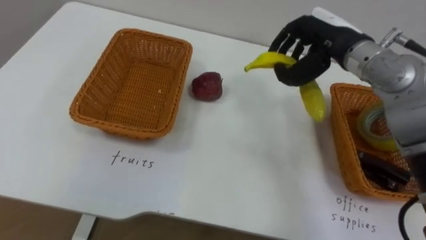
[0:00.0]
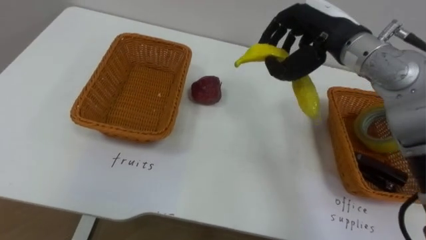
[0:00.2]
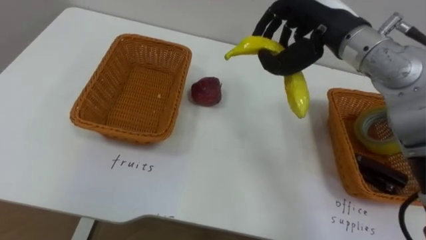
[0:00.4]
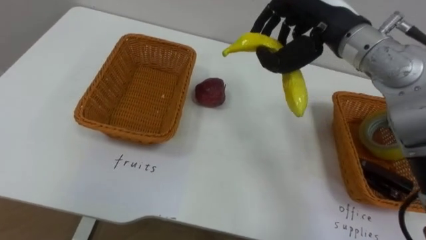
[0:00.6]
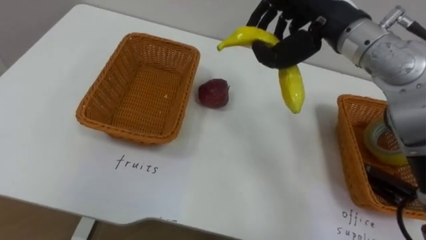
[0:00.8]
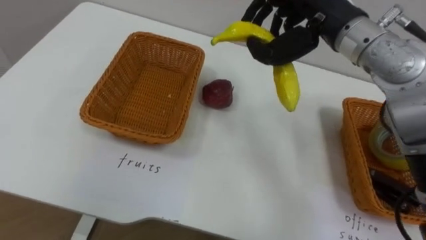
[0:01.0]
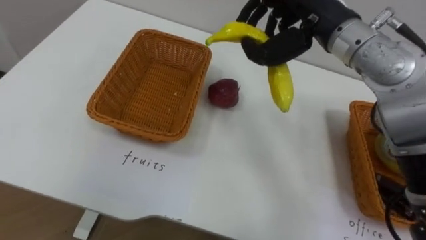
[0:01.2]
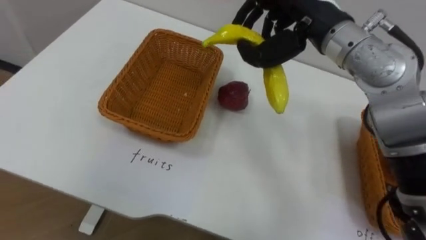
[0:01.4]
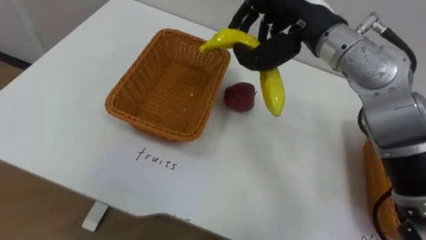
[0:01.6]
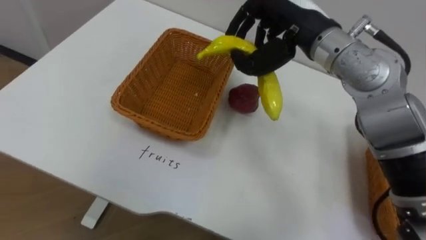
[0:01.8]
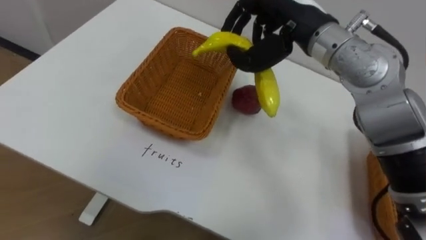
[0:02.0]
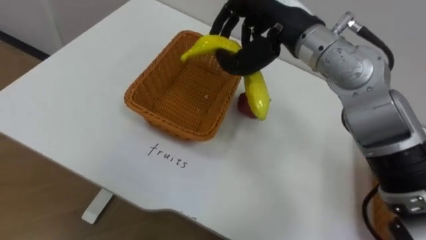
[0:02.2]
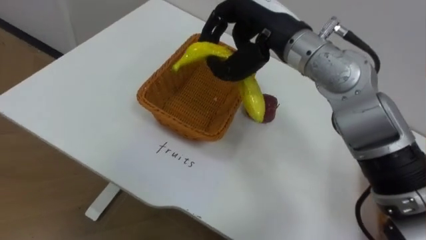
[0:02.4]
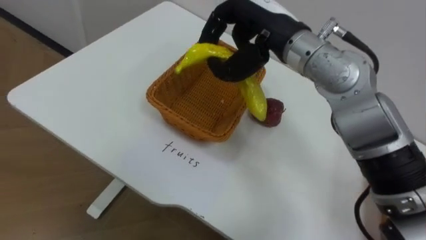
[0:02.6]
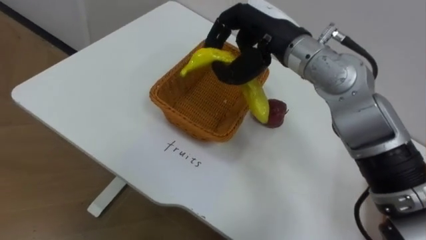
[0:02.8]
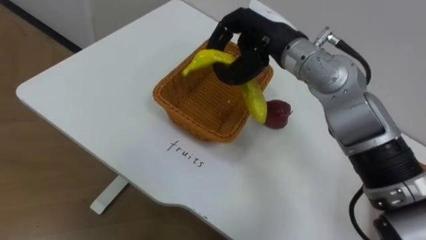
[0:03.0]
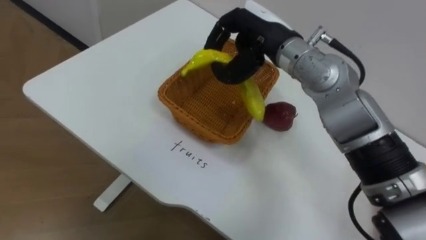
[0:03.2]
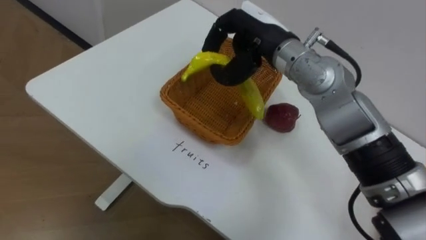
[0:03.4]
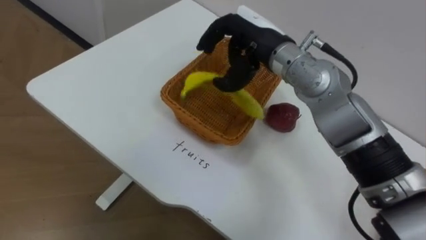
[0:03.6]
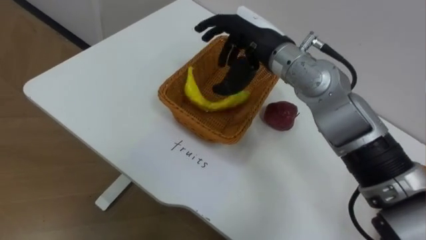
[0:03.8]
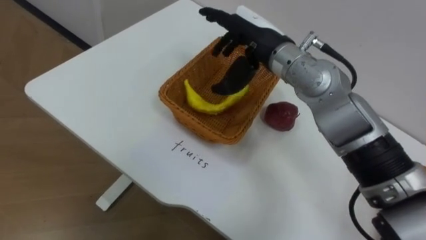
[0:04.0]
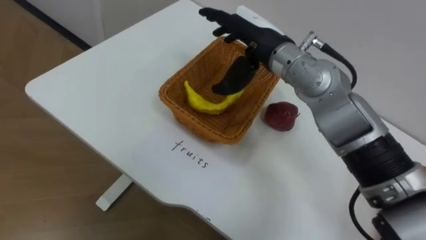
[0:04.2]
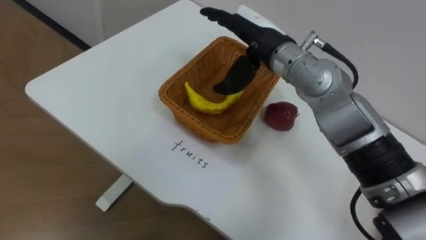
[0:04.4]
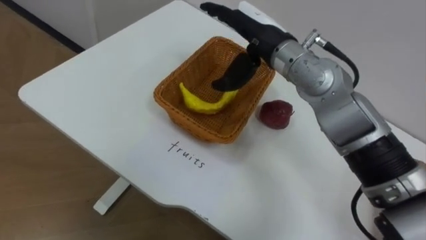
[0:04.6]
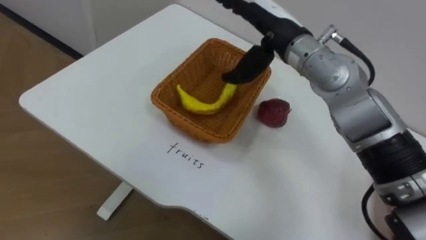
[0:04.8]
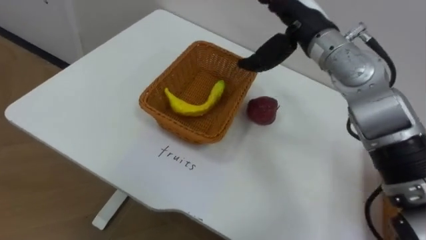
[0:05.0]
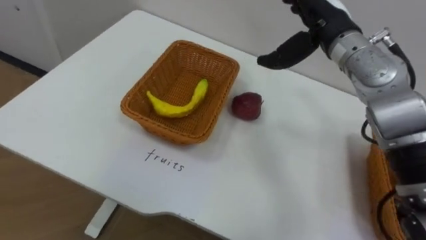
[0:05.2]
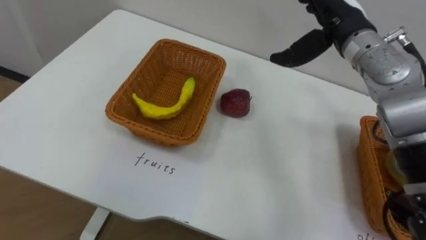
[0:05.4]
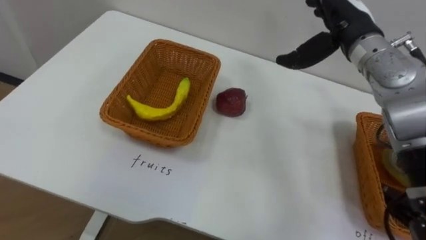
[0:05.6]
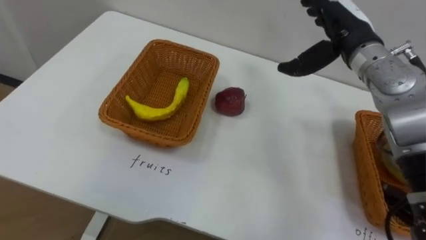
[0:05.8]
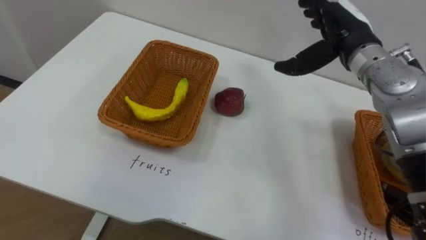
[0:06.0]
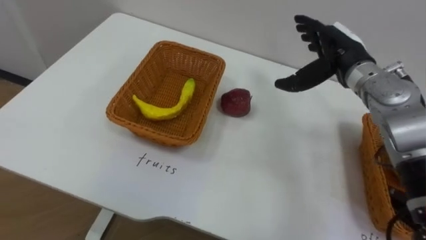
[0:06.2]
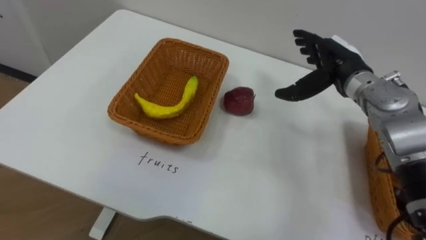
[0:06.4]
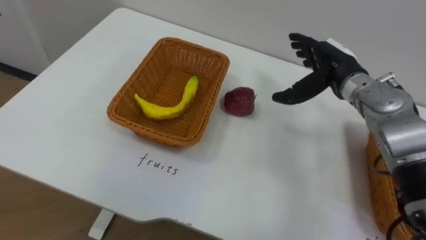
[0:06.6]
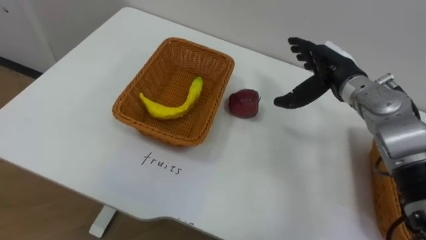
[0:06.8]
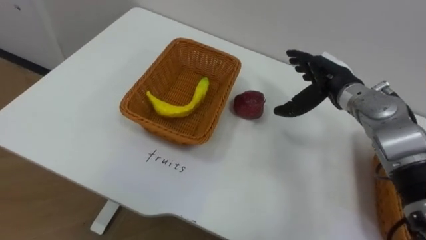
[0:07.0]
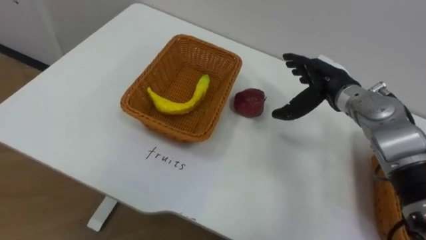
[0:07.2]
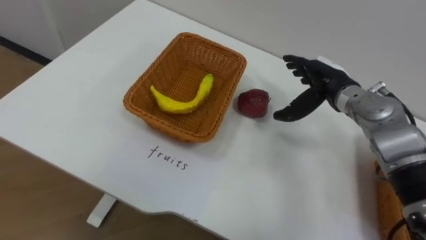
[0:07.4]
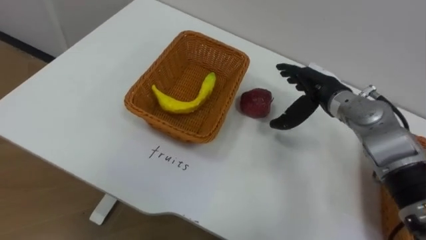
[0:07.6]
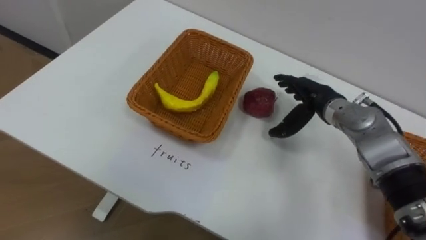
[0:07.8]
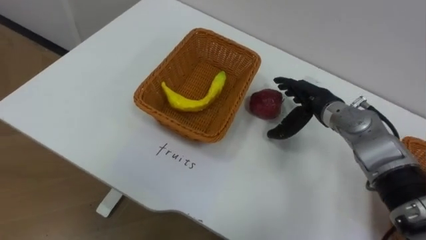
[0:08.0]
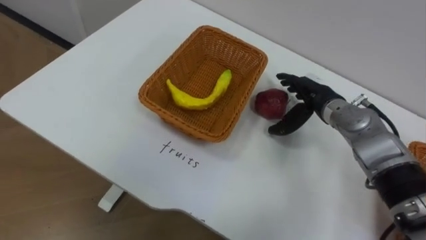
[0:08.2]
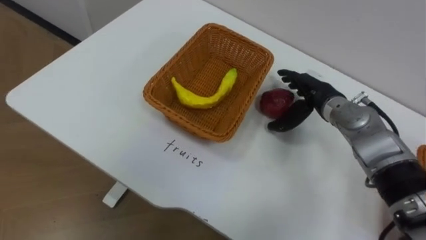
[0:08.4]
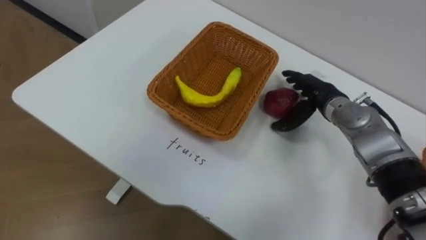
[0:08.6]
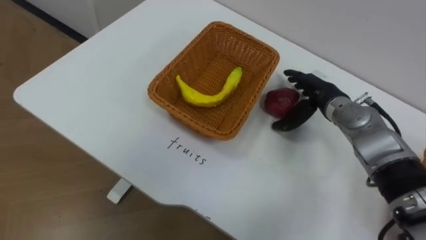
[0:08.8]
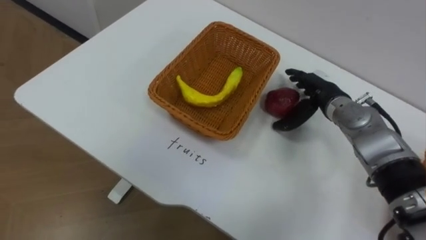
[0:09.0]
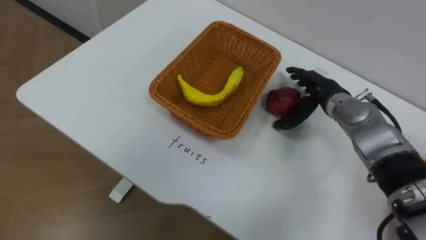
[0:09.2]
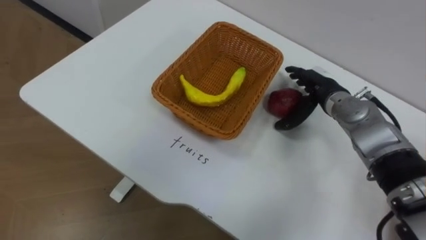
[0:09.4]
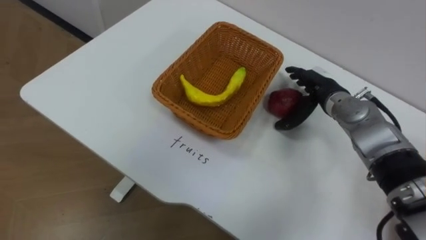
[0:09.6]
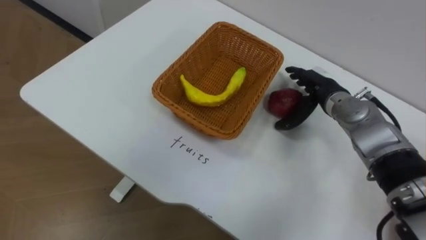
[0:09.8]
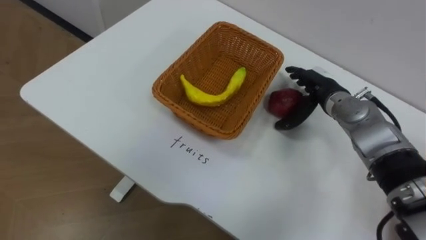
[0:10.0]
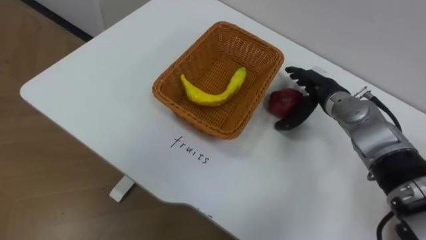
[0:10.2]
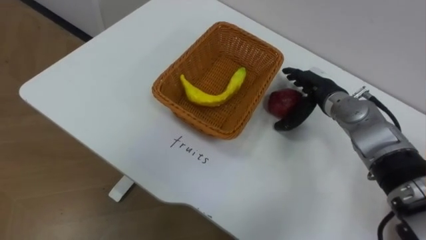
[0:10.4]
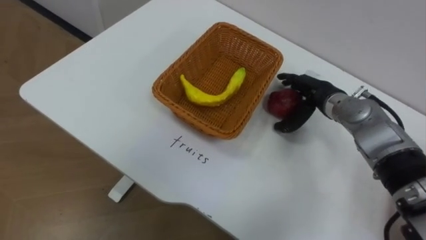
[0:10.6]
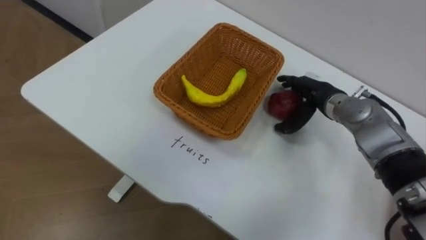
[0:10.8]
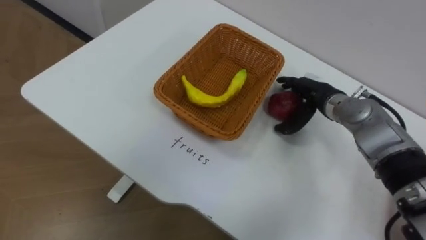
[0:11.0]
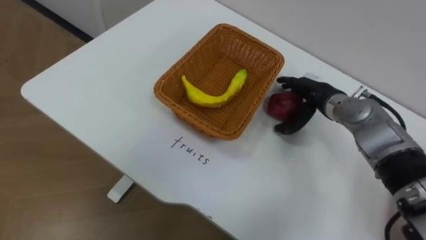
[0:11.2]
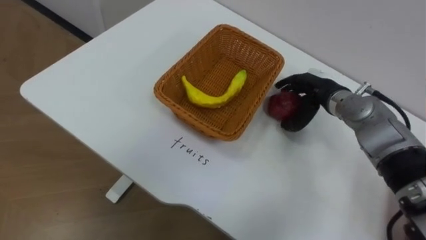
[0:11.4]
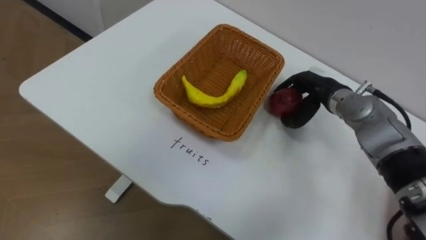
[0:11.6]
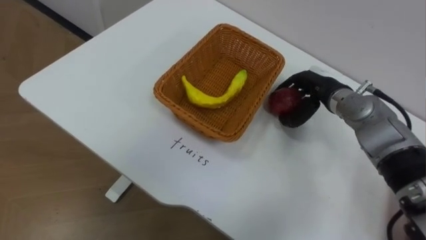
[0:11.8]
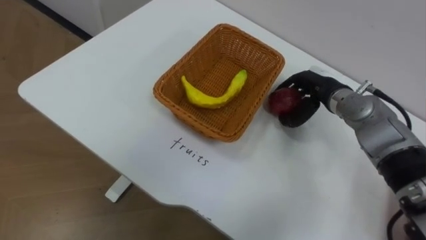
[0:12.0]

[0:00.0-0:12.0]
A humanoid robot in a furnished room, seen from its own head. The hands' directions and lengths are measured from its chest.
Task of the whole recording: Separate the items on the table and place them into the two baskets.
0:00.0 to 0:01.6: The right hand moves to the left, roughly 5 cm.
0:01.6 to 0:03.0: The right hand ends up roughly 5 cm from where it was.
0:03.0 to 0:04.4: The right hand opens its fingers.
0:04.4 to 0:06.0: The right hand shifts approximately 15 cm to the right.
0:06.0 to 0:07.6: The right hand travels downward by some 10 cm.
0:10.4 to 0:12.0: The right hand closes up.

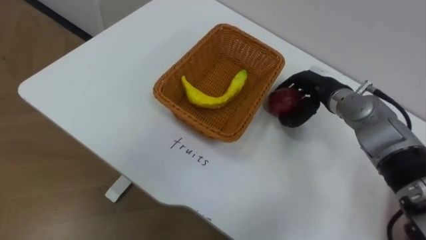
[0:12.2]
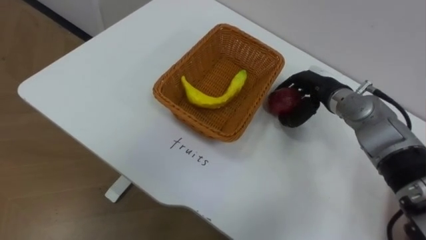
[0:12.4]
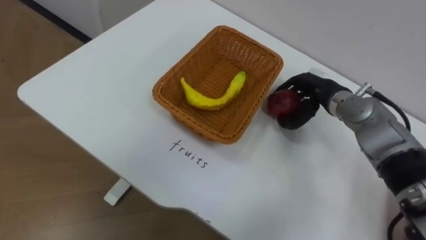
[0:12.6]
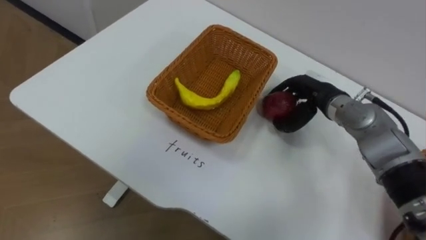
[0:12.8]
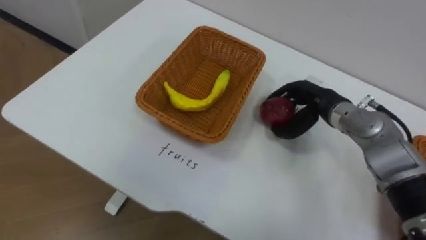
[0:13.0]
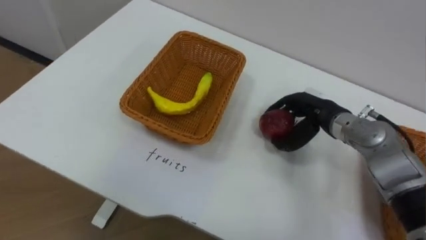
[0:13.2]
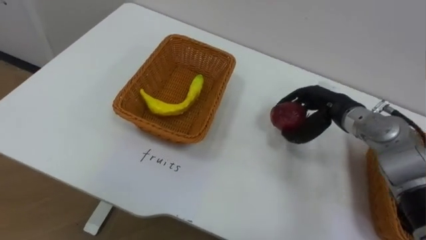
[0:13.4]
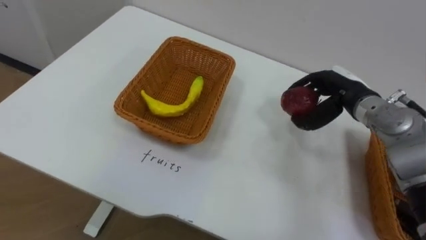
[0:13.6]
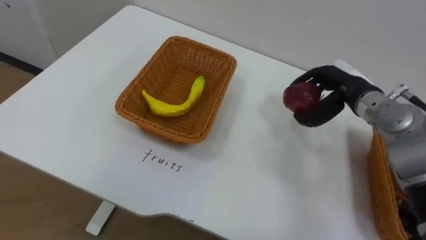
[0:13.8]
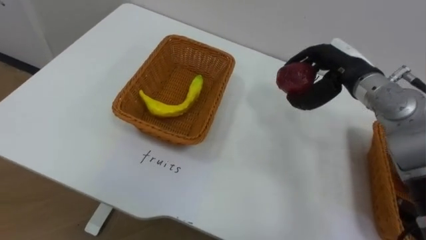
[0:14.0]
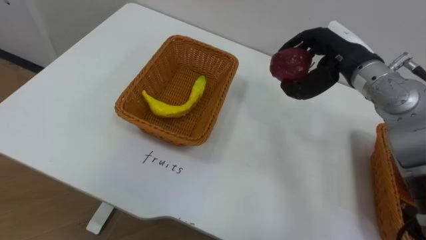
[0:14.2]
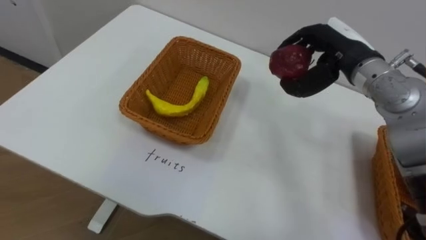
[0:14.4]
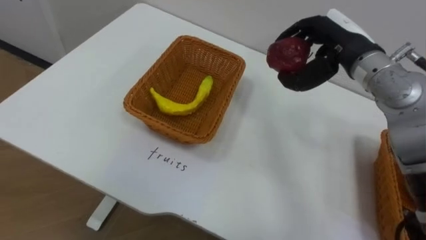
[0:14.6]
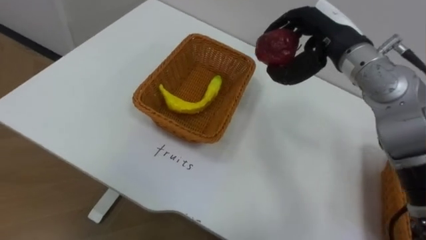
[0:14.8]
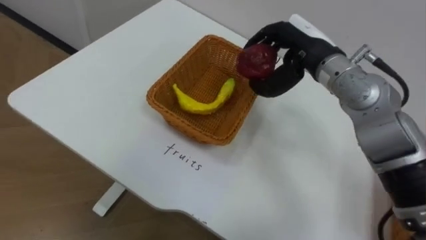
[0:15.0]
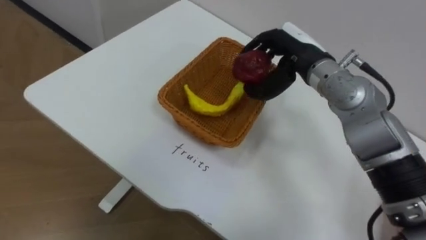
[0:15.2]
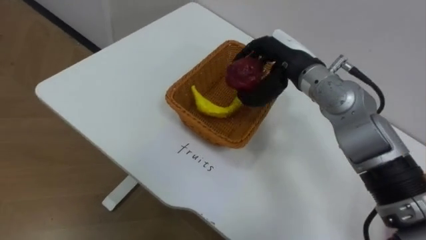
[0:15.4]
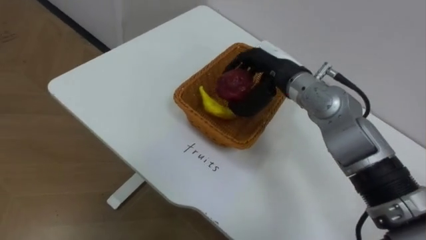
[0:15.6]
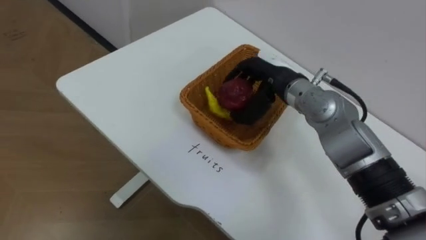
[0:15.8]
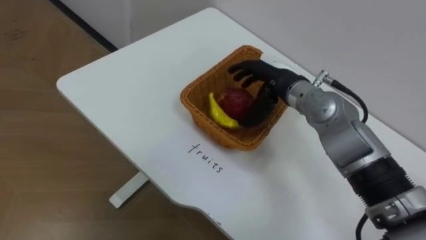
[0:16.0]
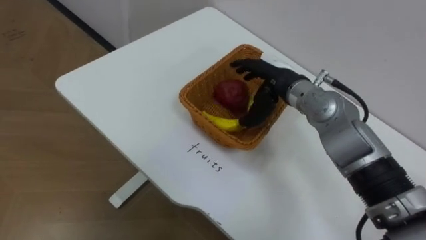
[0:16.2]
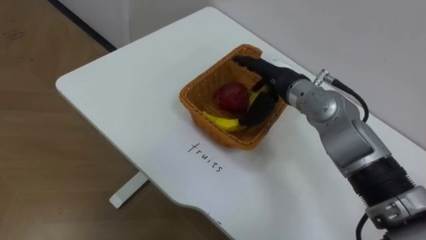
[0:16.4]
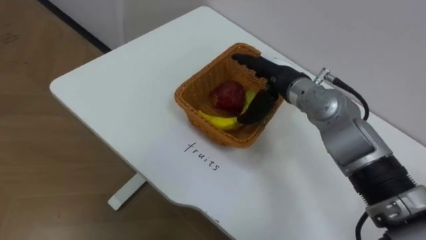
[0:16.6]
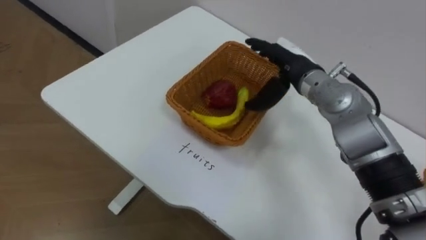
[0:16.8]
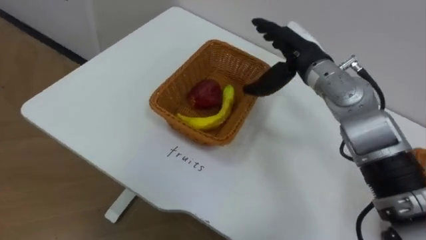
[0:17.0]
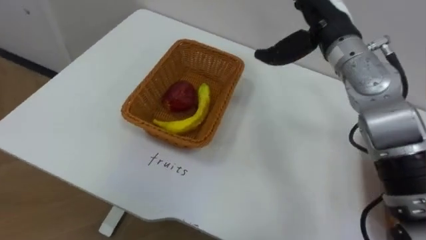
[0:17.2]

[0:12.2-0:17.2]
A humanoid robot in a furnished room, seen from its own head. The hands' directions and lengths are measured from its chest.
Task of the whole recording: Separate the items on the table and place them into the two baskets.
0:12.2 to 0:13.8: The right hand shifts by roughly 5 cm.
0:13.8 to 0:15.6: The right hand heads to the left, covering about 15 cm.
0:15.6 to 0:17.2: The right hand goes about 10 cm upward and to the right, and opens its fingers.
